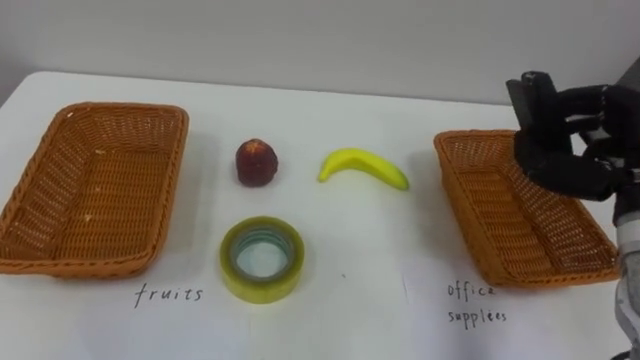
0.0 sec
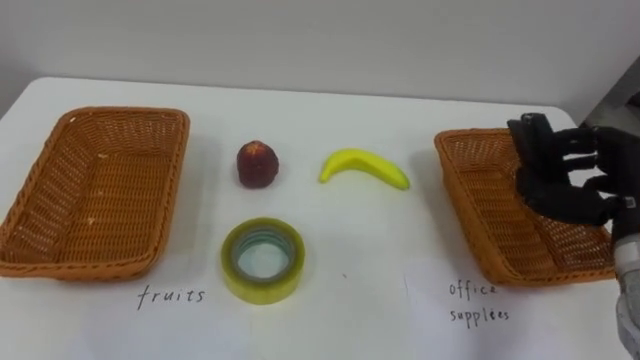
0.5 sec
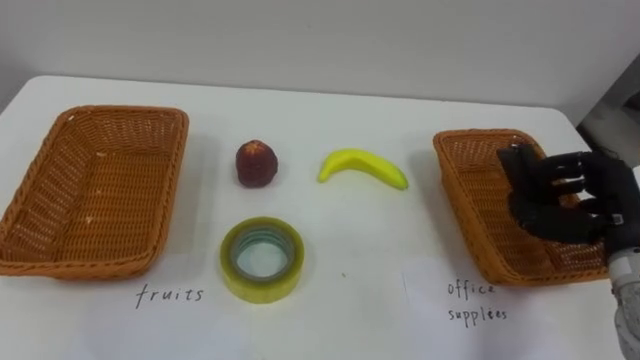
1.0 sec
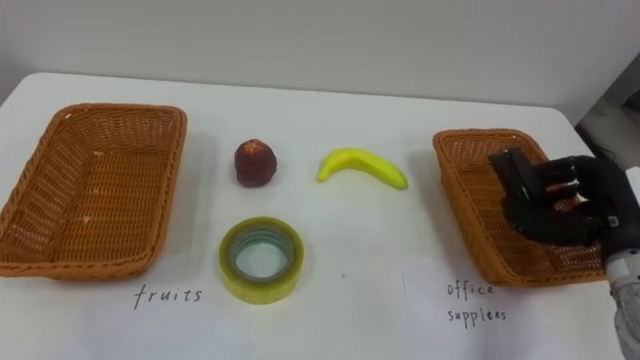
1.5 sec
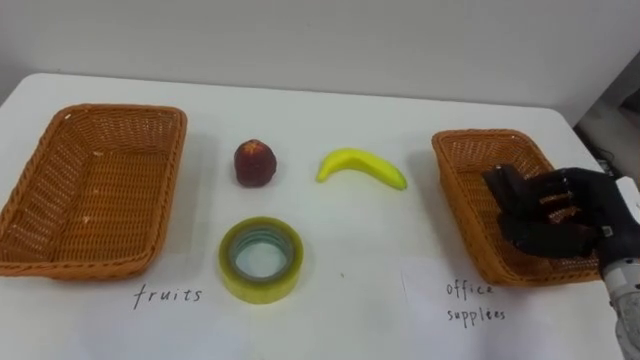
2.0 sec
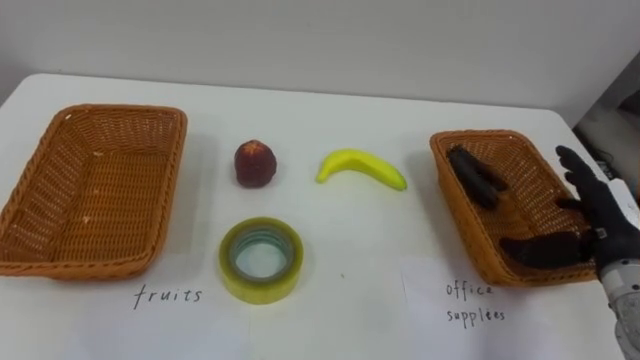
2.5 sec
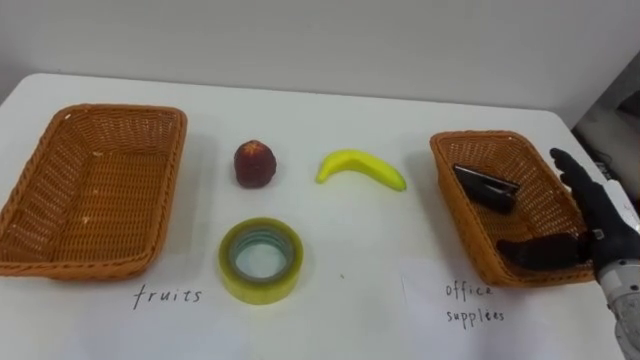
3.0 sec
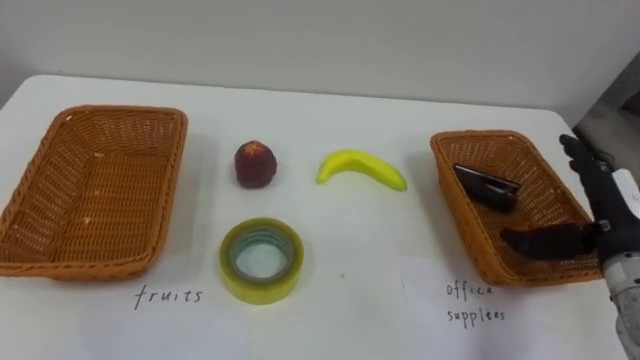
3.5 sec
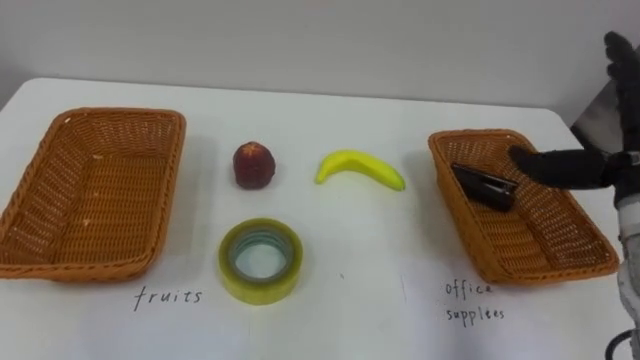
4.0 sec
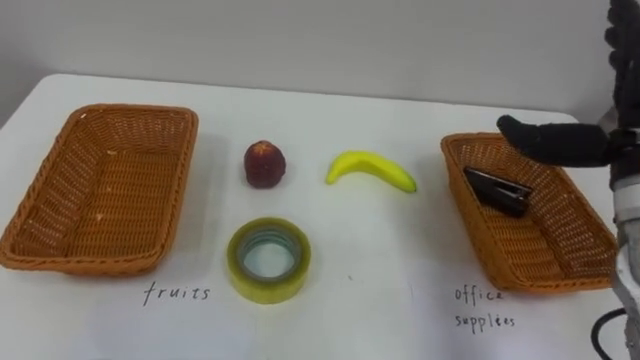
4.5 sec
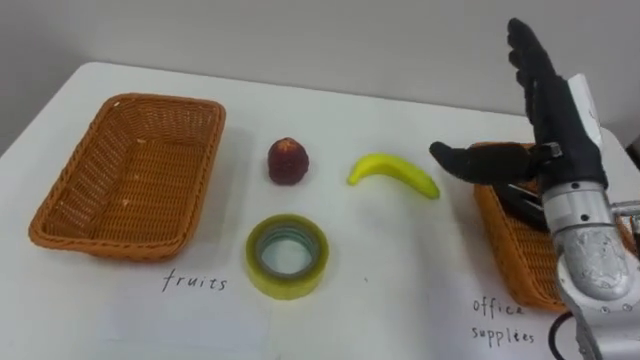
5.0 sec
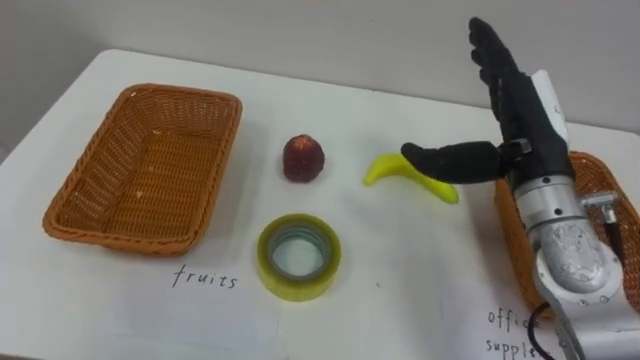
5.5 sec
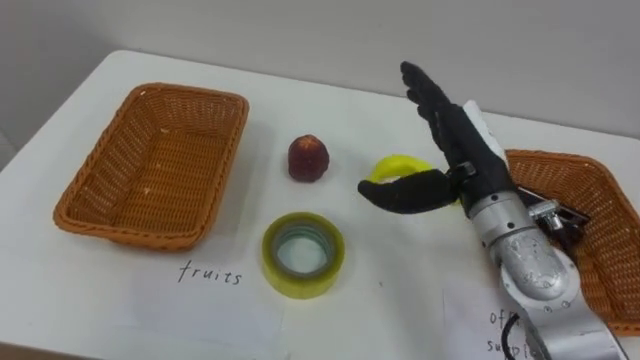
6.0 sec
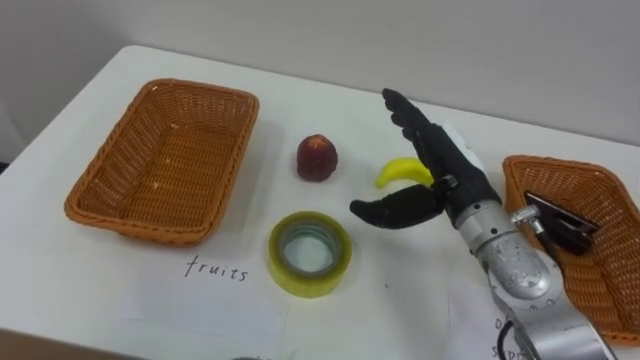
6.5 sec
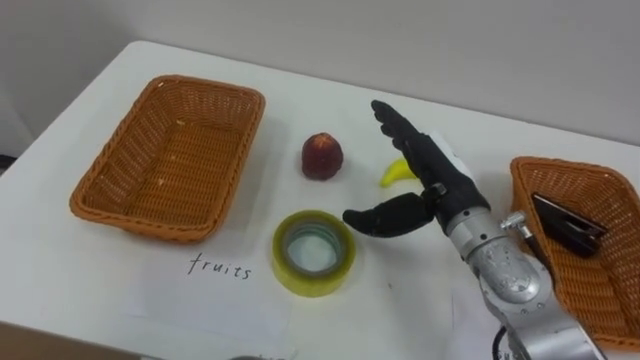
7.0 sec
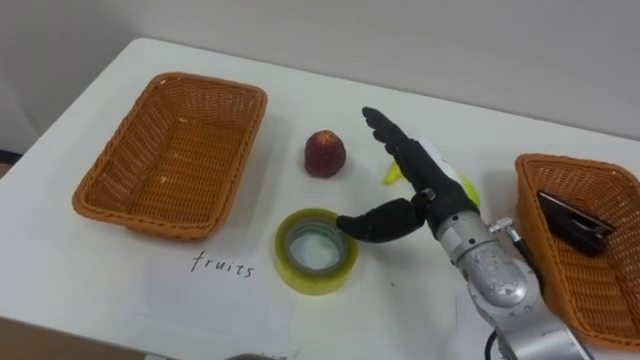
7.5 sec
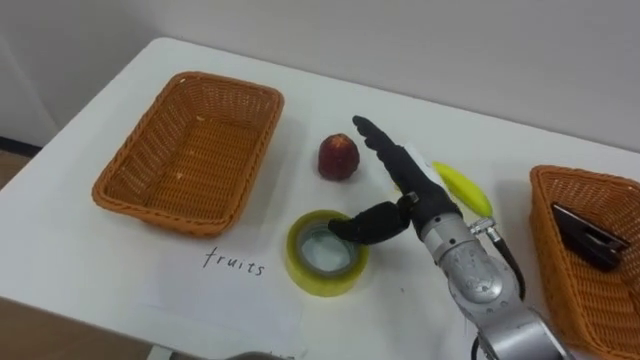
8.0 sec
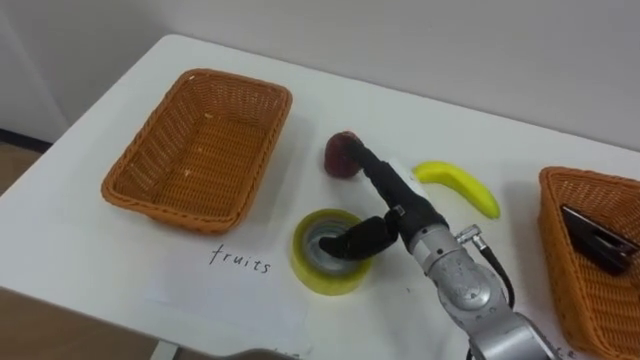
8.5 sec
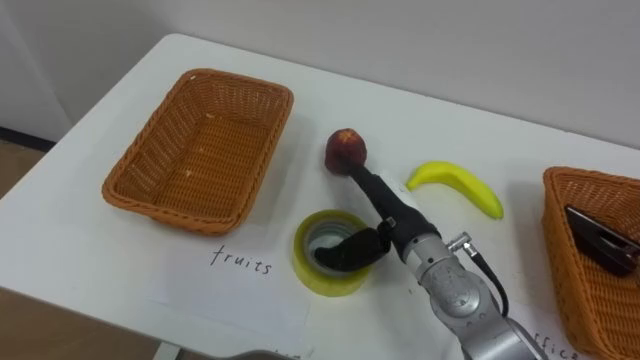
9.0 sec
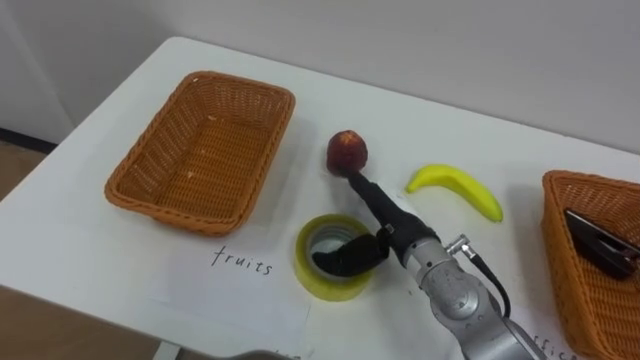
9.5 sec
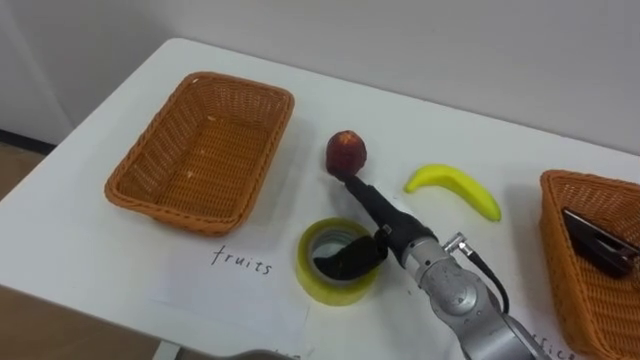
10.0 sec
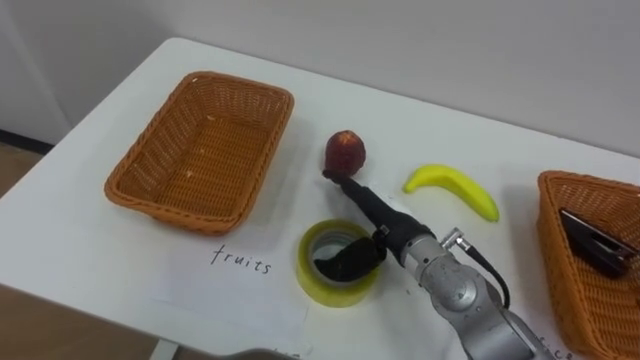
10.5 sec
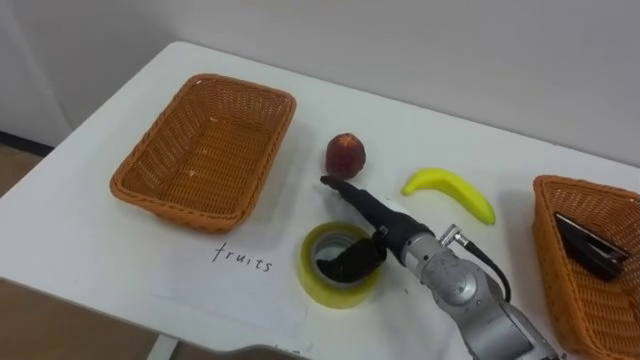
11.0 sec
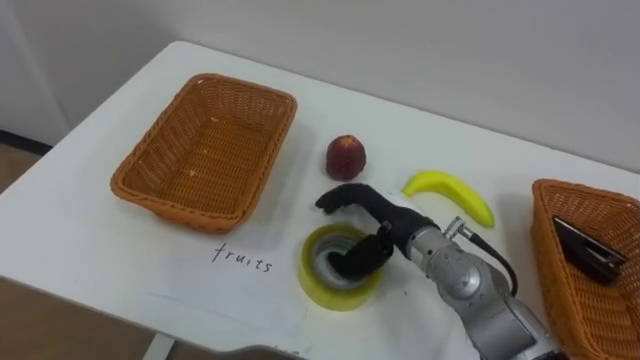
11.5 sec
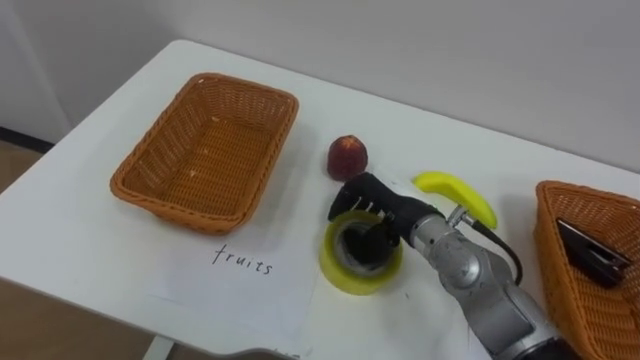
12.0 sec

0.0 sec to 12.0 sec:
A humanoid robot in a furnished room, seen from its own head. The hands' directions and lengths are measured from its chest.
Task of the whole recording: Separate the items on the table and place them into the two baskets.
0.0 sec to 2.0 sec: The right hand shifts roughly 10 cm downward.
2.0 sec to 4.0 sec: The right hand heads upward, covering some 10 cm, and opens up.
4.0 sec to 6.0 sec: The right hand heads to the left, covering about 15 cm.
6.0 sec to 8.0 sec: The right hand travels downward by about 5 cm.
8.0 sec to 10.0 sec: The right hand travels downward by approximately 5 cm.
10.0 sec to 12.0 sec: The right hand closes up.

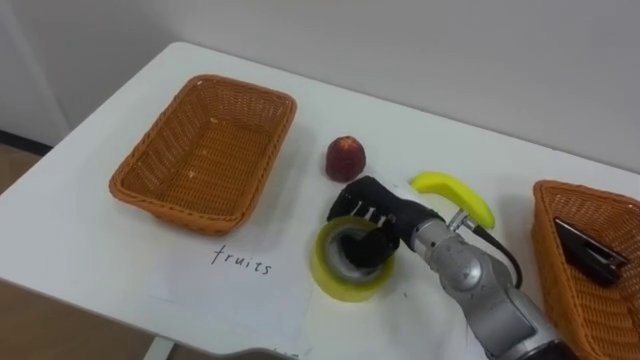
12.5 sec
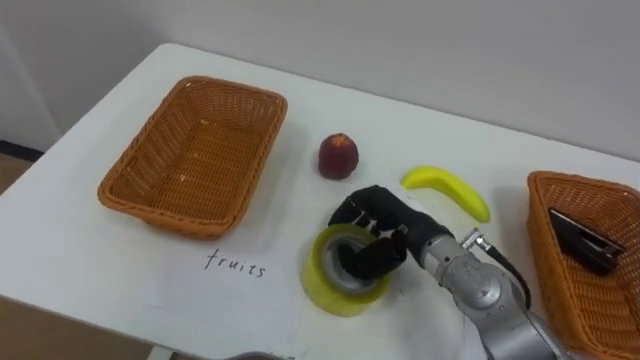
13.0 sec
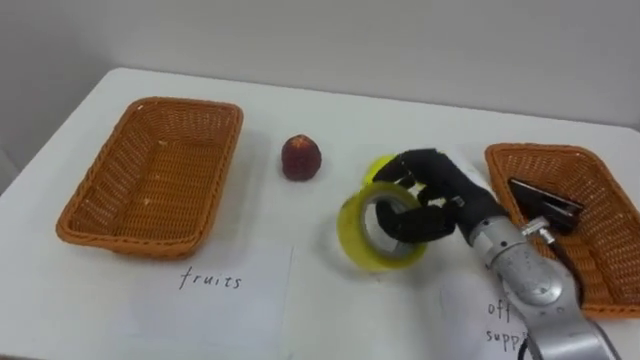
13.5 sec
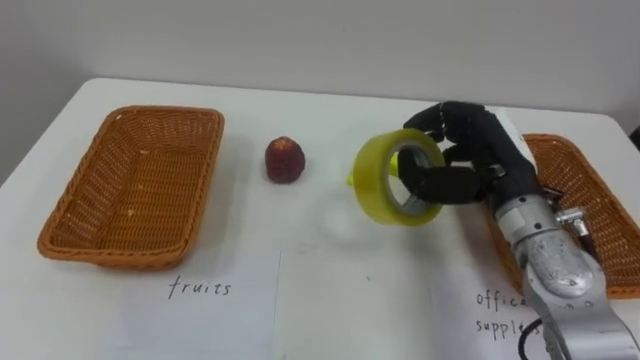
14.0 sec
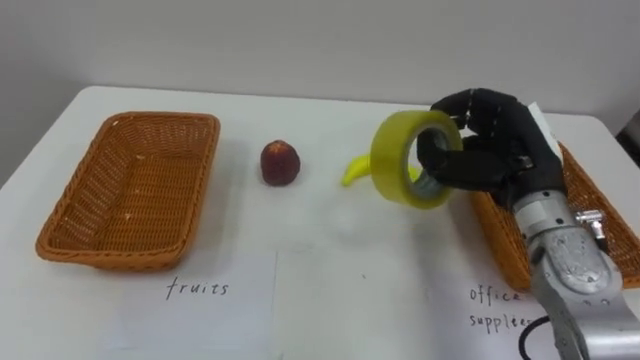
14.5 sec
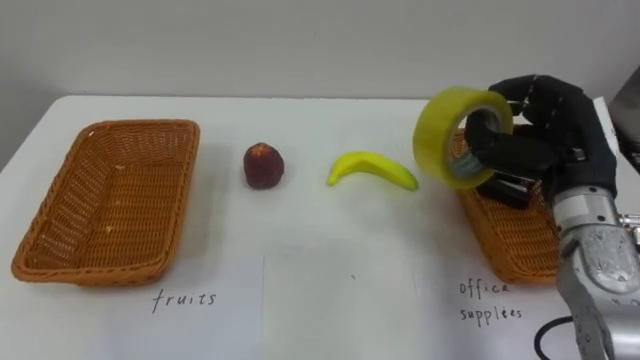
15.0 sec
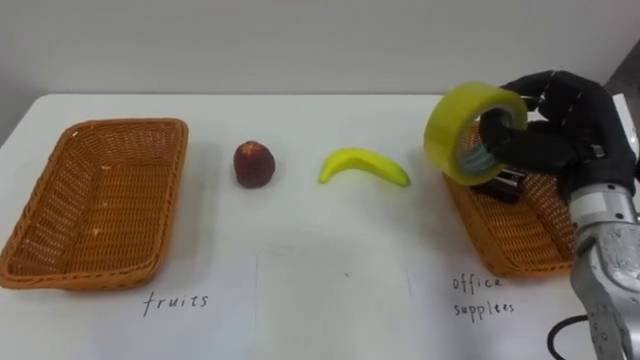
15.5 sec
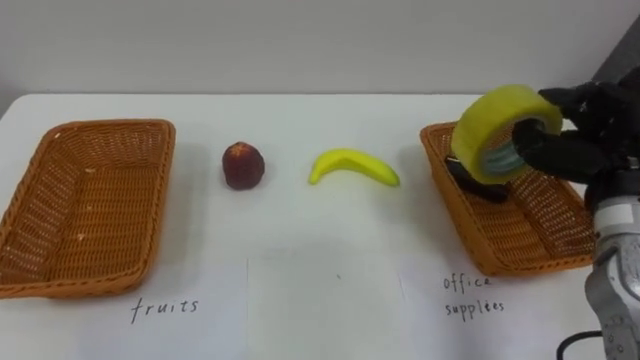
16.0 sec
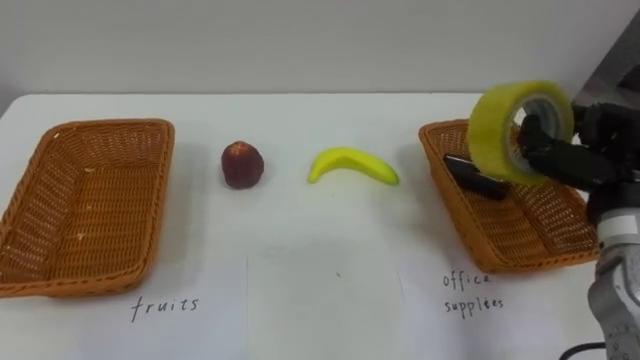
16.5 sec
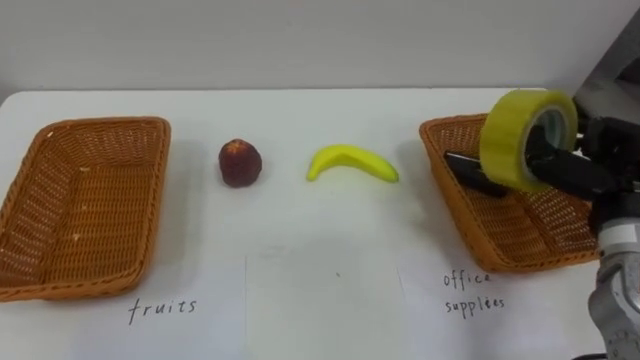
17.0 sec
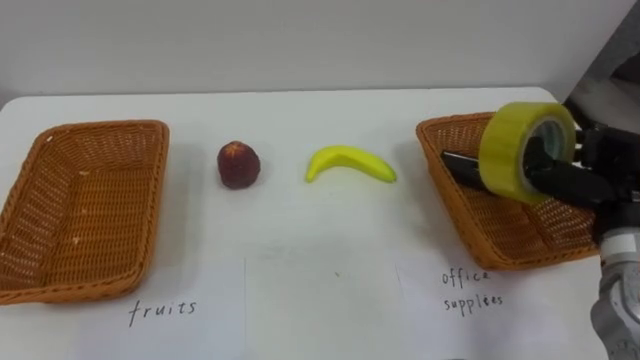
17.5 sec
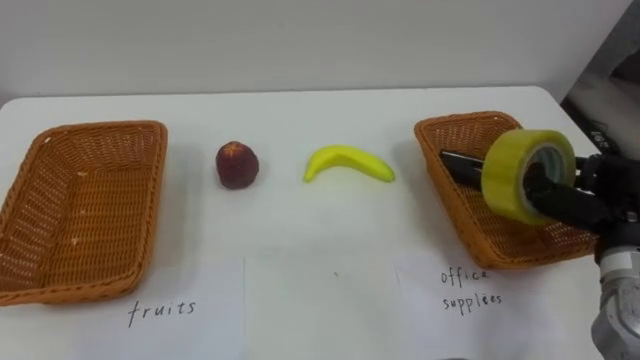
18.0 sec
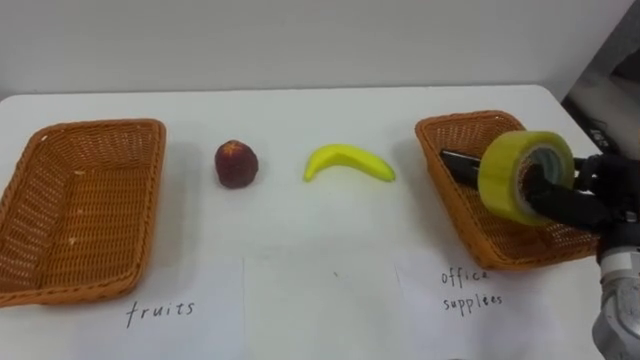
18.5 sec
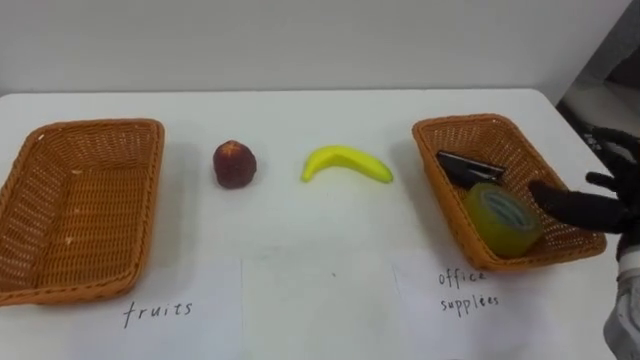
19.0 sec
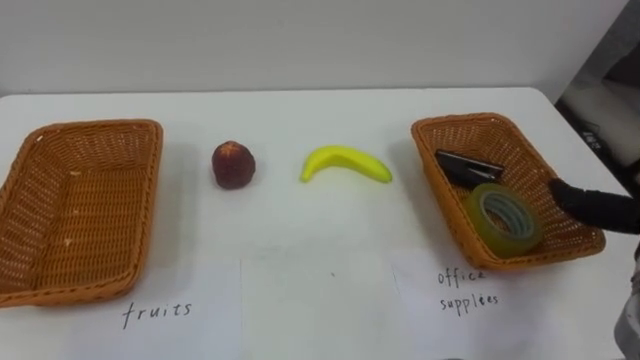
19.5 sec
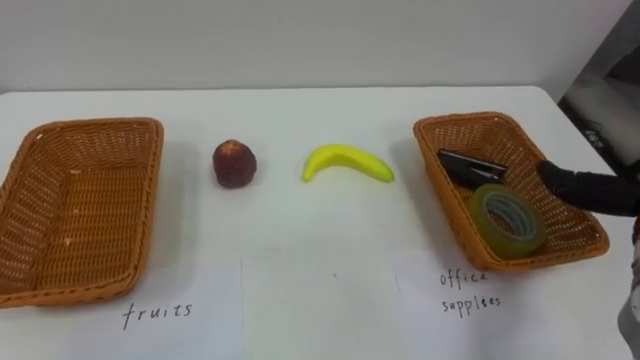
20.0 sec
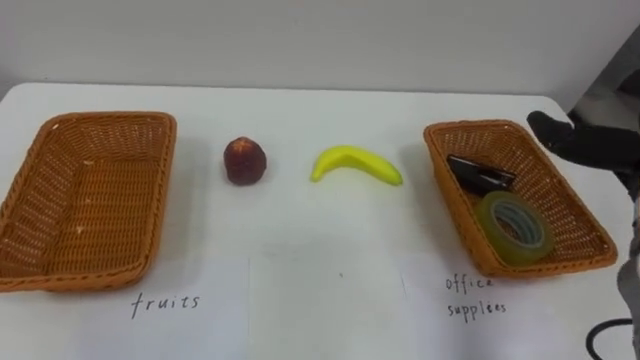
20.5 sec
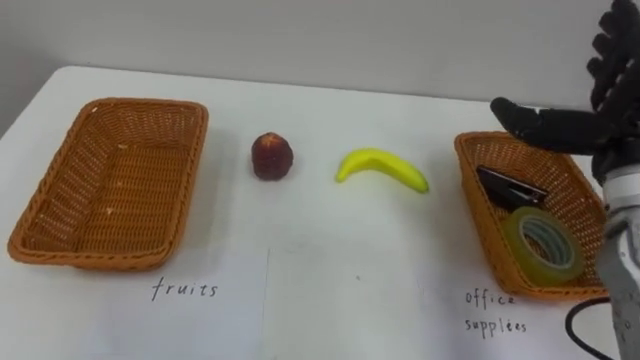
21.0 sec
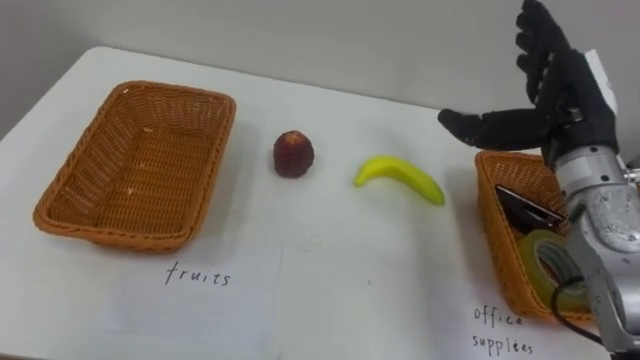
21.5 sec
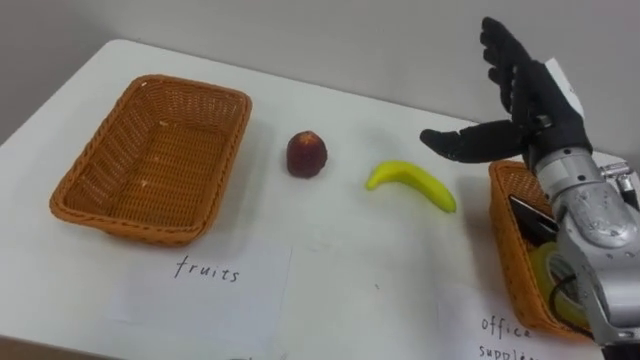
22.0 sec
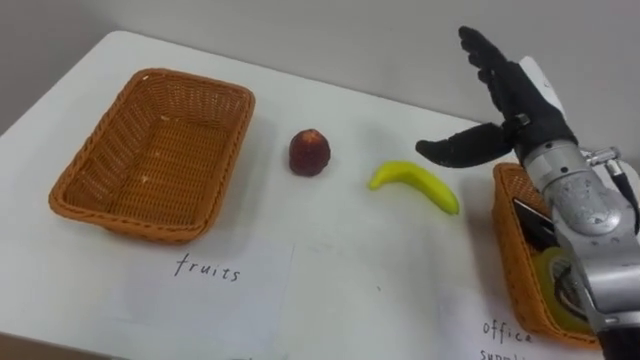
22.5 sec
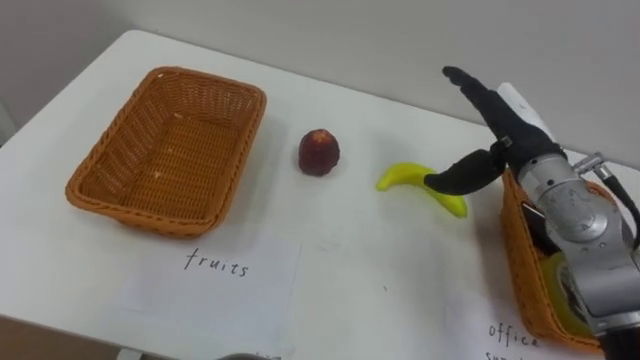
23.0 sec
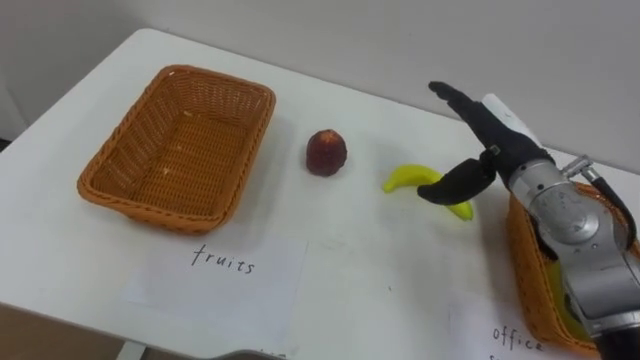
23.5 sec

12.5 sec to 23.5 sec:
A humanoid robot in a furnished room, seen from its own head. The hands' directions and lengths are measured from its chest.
Task of the whole recording: Separate the items on the table and place them into the two baskets.
12.5 sec to 14.5 sec: The right hand moves to the right and upward, some 15 cm.
14.5 sec to 16.0 sec: The right hand moves to the right, about 10 cm.
16.0 sec to 18.0 sec: The right hand goes about 5 cm downward.
21.5 sec to 23.5 sec: The right hand is displaced downward by roughly 5 cm.
